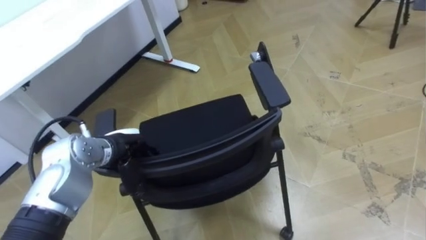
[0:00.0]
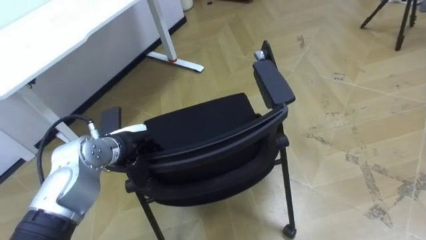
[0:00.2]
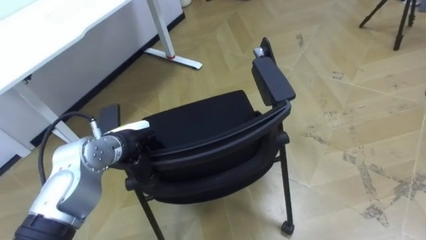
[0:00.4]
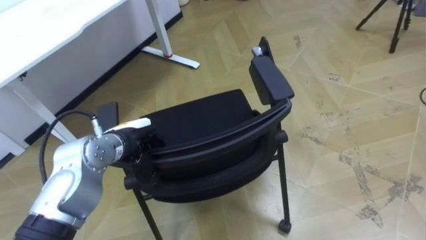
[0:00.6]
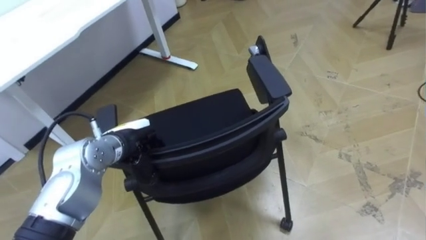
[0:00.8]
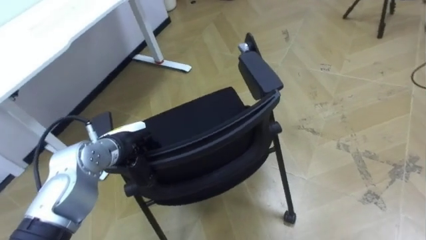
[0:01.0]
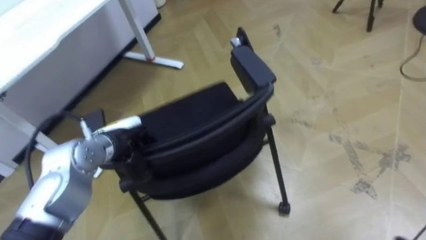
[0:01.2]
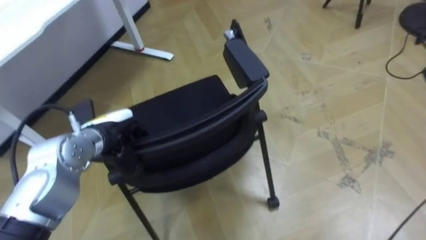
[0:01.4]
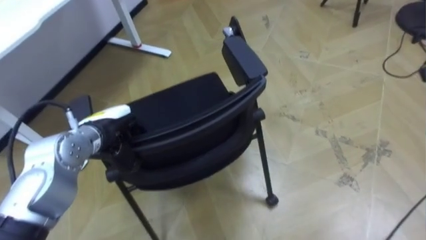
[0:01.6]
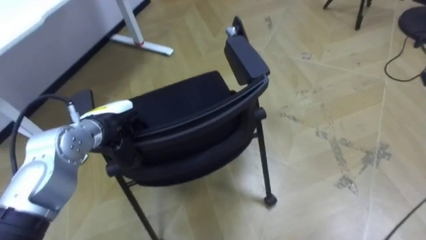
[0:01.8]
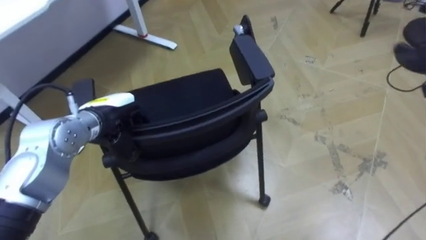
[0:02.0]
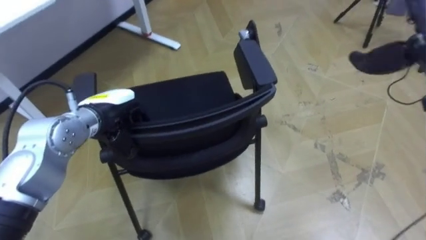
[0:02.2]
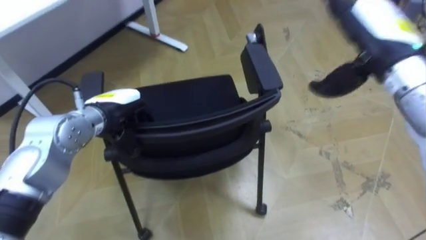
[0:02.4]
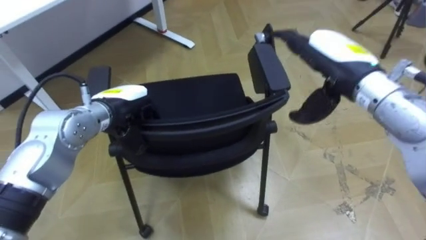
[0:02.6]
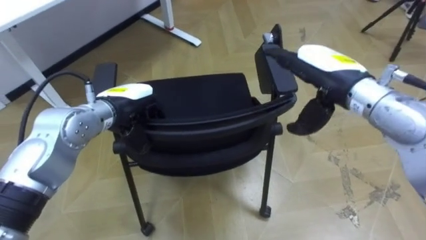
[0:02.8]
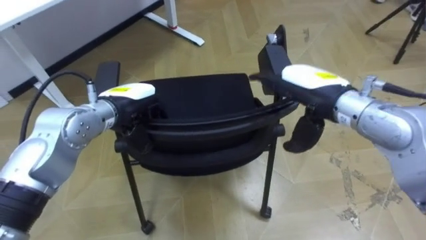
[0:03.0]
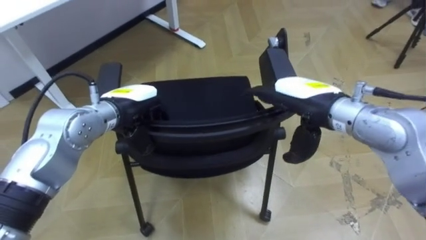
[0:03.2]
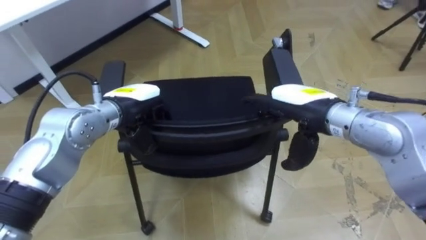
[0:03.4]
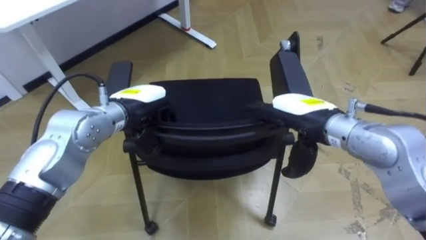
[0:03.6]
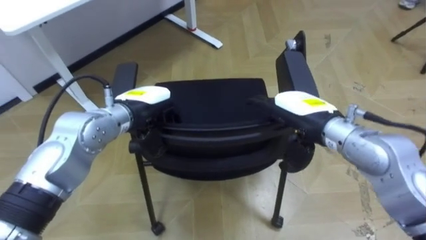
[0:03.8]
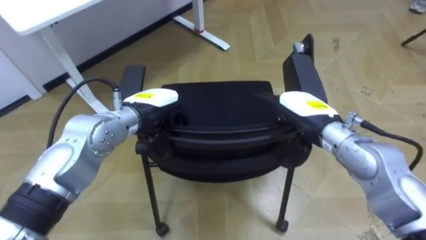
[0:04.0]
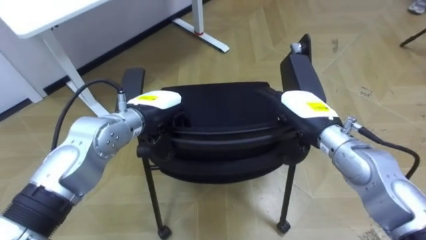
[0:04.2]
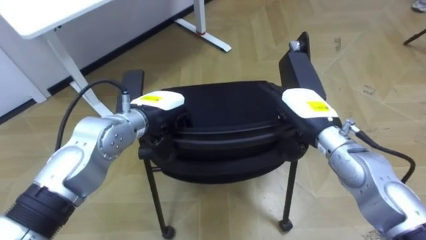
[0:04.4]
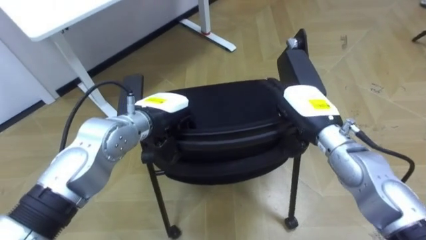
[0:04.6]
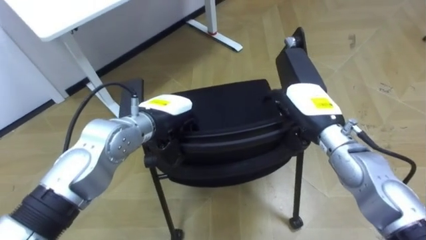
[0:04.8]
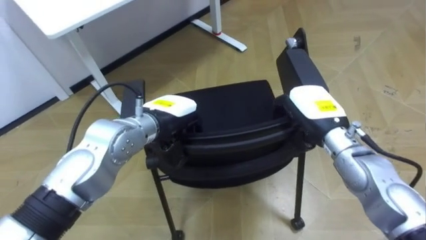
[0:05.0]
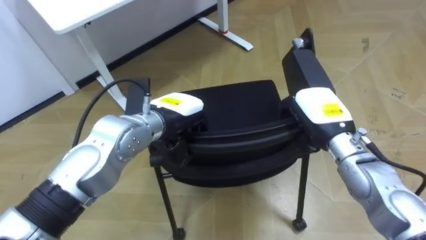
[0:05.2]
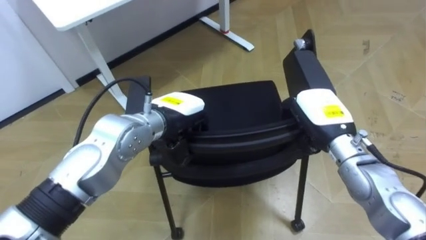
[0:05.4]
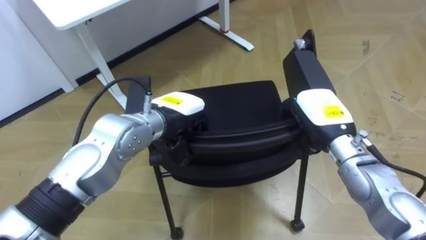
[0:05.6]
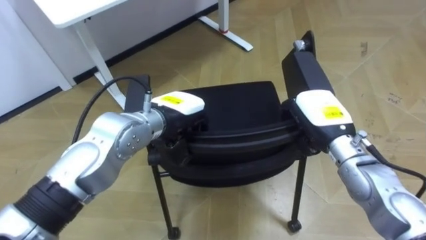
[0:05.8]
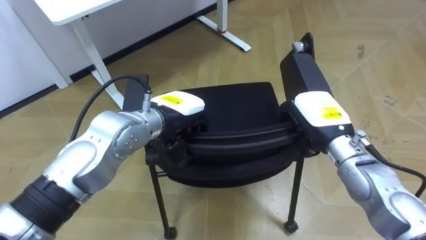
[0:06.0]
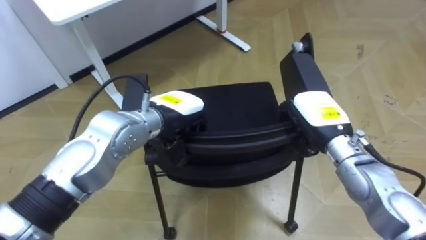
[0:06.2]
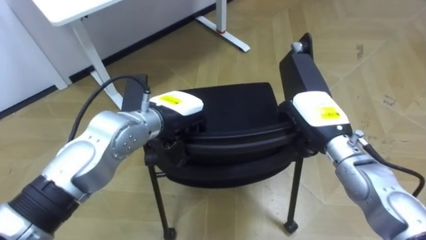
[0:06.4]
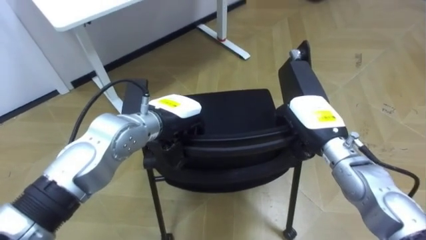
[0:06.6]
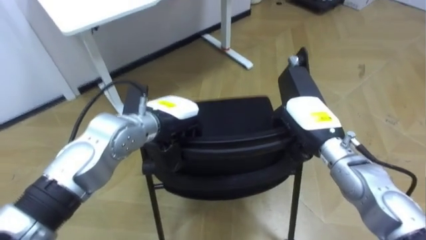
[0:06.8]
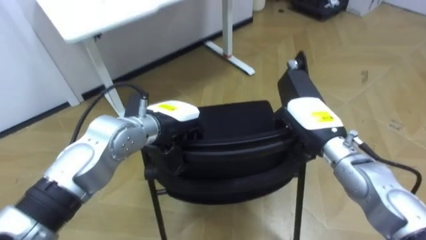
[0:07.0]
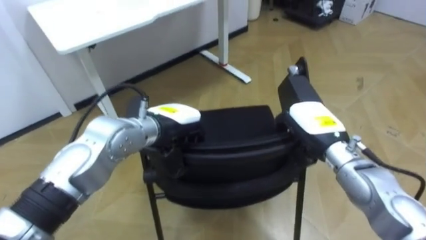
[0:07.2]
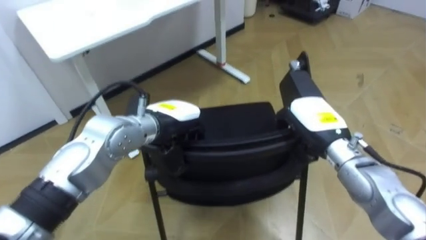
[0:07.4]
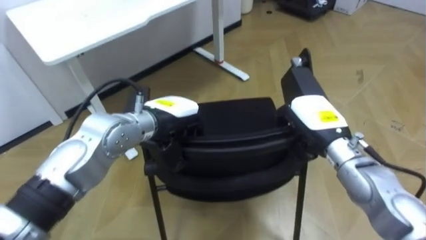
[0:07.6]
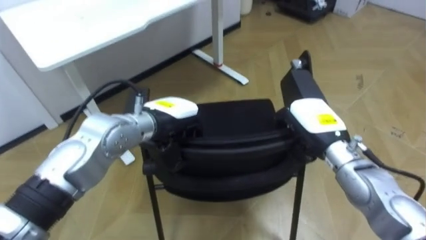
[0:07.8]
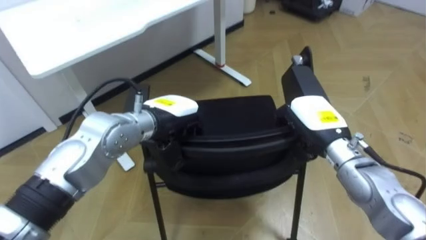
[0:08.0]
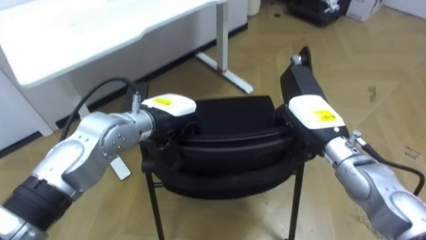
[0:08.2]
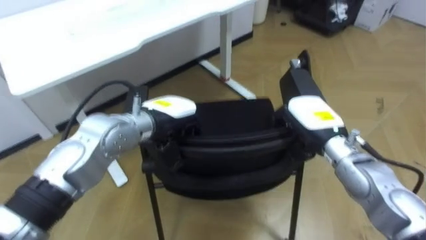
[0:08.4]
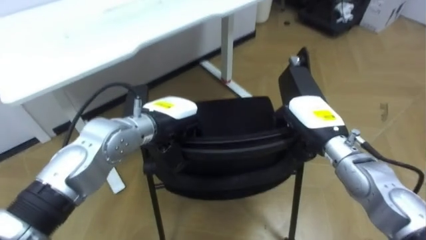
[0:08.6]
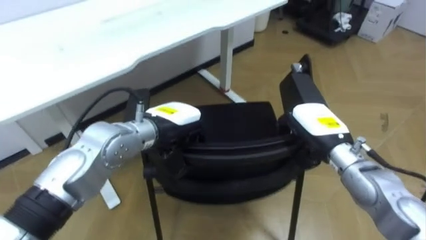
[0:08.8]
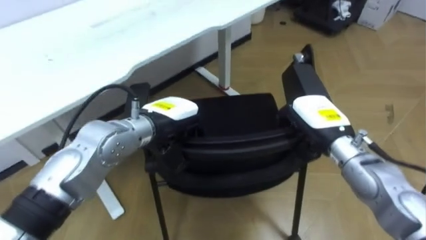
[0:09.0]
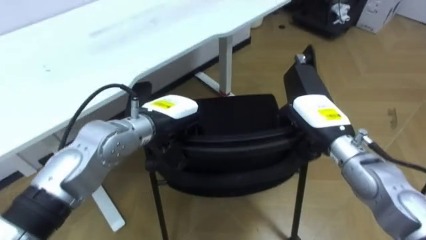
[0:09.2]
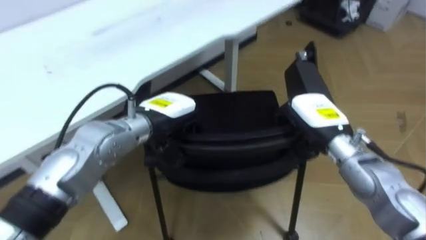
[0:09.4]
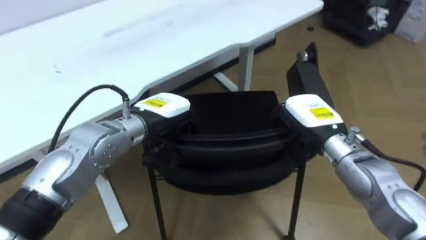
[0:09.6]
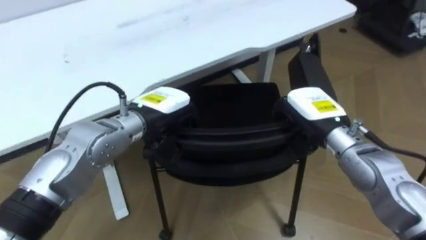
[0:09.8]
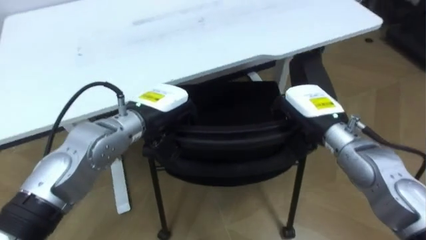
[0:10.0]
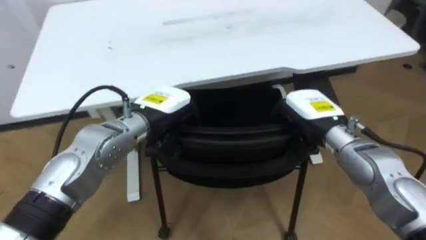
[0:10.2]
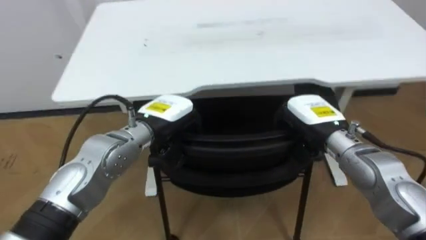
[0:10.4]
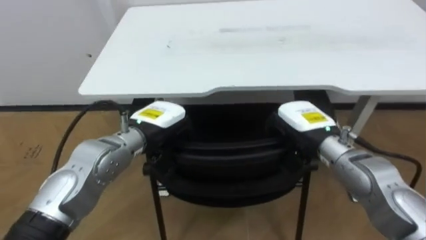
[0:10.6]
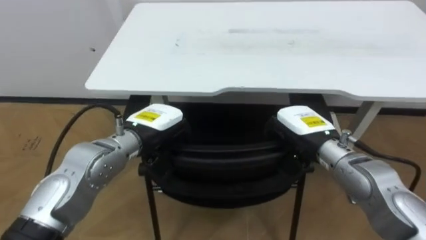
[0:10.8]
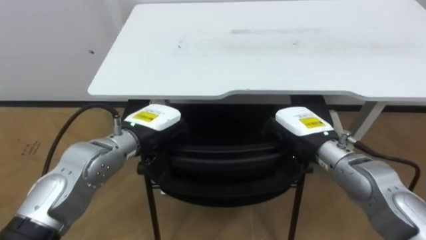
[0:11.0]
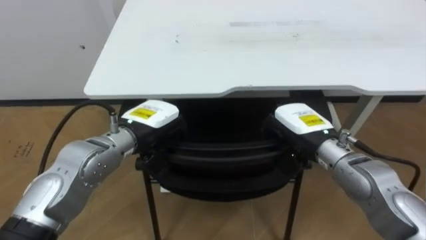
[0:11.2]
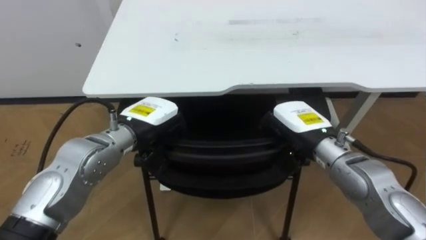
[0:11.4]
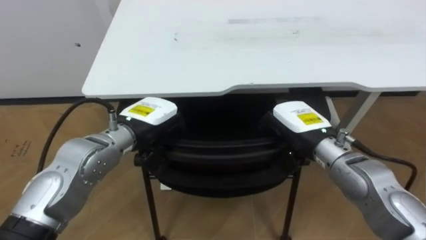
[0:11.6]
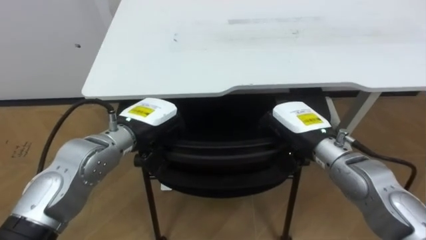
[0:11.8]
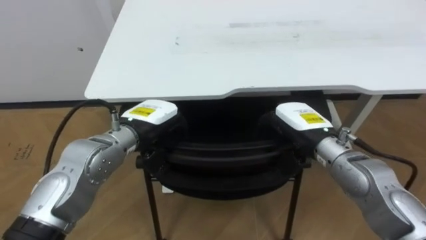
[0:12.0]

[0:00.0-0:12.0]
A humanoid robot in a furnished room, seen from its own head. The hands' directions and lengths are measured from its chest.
Task of the whole recording: Push the chair under the table.
0:00.0 to 0:01.6: The left hand moves approximately 5 cm.
0:01.6 to 0:03.0: The left hand shifts by roughly 5 cm.
0:03.0 to 0:04.4: The right hand is displaced downward by some 10 cm. The left hand moves to the right, approximately 5 cm.
0:04.4 to 0:06.0: The right hand closes.
0:09.0 to 0:10.4: The robot rotates roughly 40 degrees to its left.

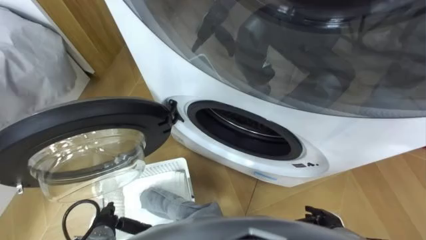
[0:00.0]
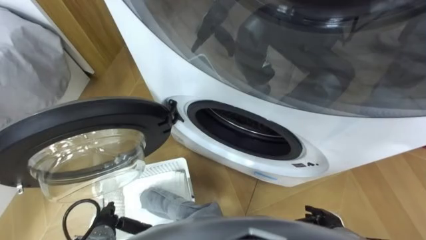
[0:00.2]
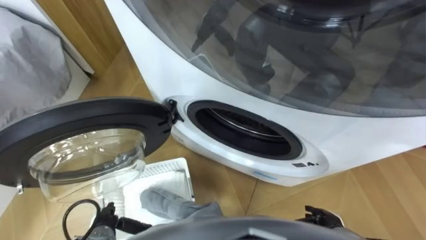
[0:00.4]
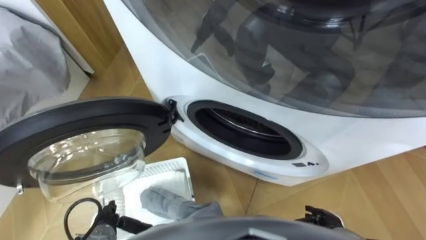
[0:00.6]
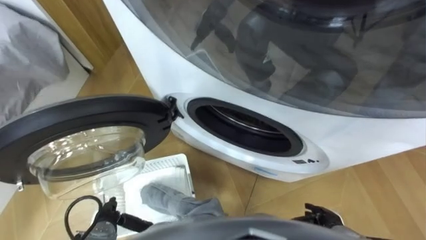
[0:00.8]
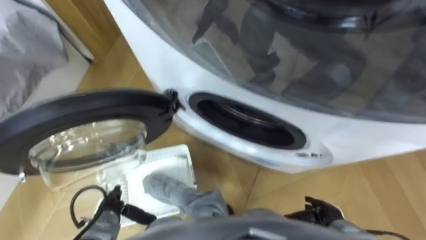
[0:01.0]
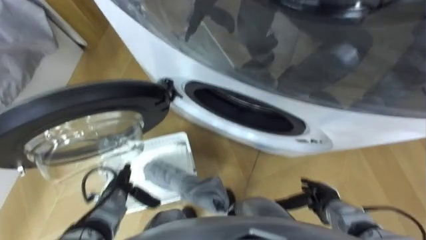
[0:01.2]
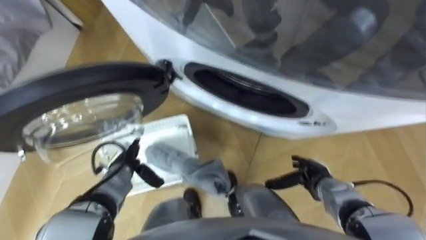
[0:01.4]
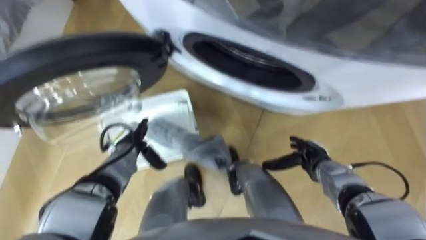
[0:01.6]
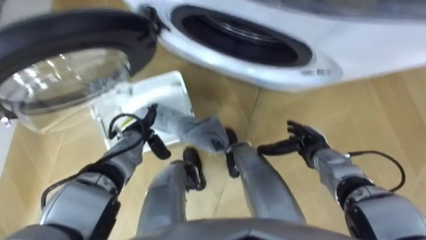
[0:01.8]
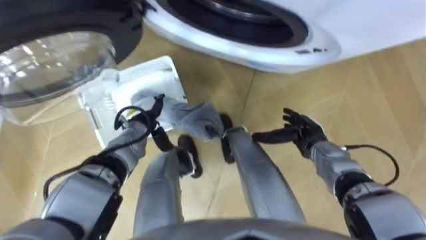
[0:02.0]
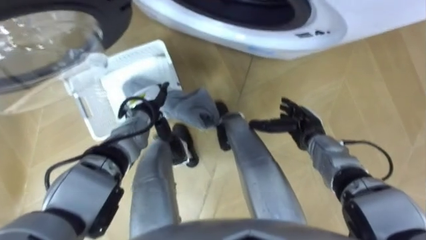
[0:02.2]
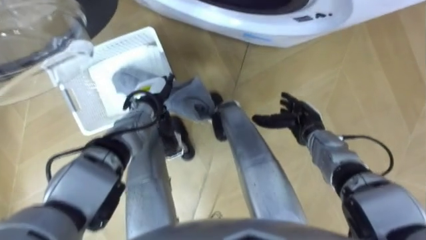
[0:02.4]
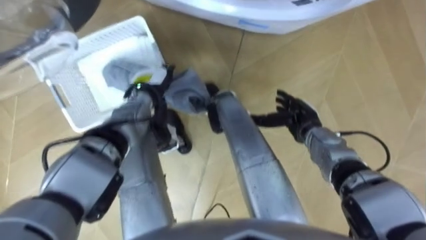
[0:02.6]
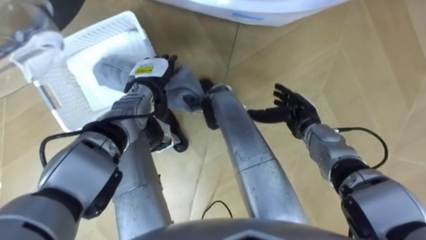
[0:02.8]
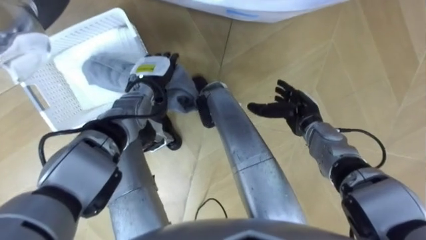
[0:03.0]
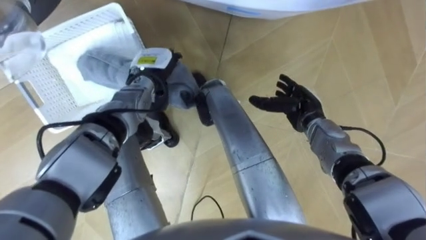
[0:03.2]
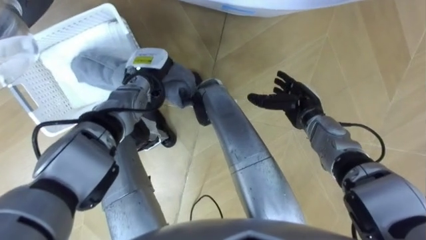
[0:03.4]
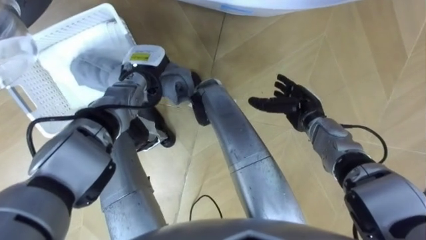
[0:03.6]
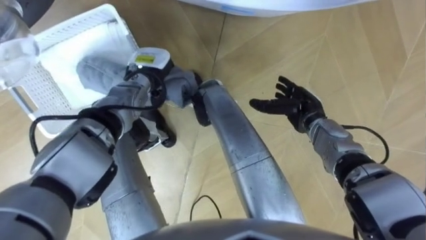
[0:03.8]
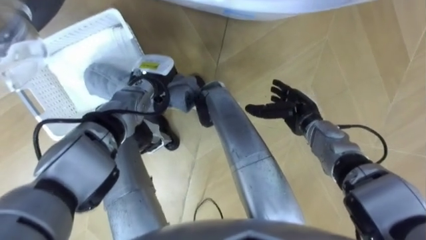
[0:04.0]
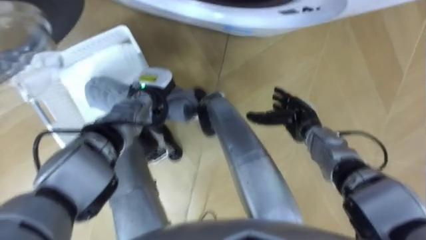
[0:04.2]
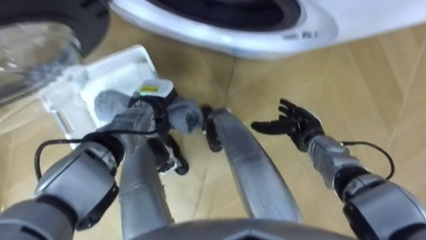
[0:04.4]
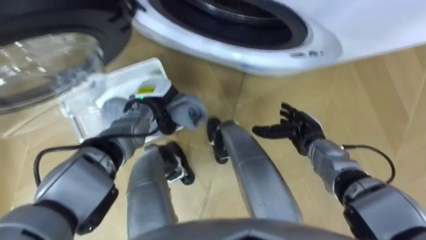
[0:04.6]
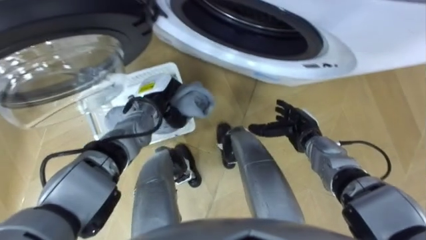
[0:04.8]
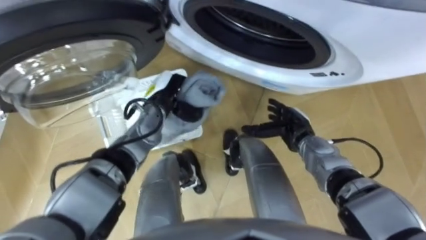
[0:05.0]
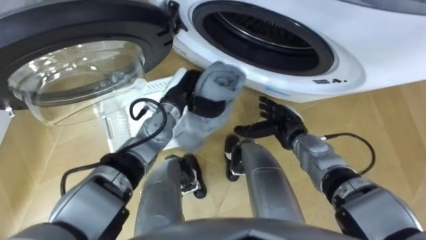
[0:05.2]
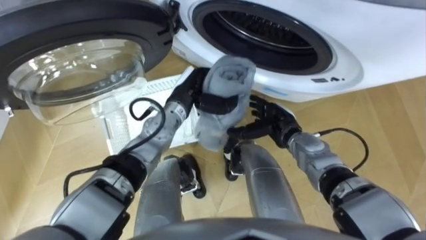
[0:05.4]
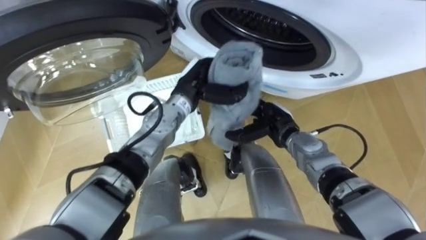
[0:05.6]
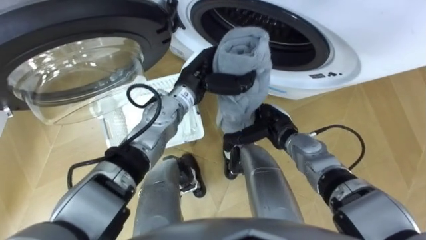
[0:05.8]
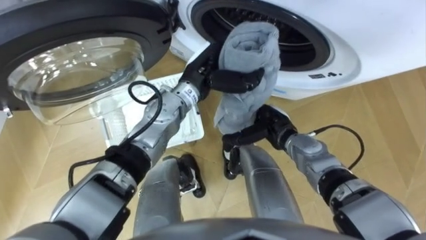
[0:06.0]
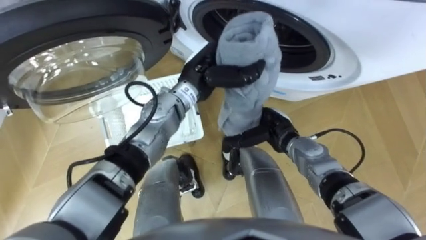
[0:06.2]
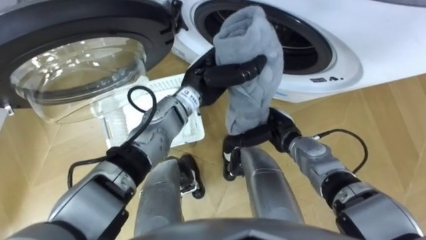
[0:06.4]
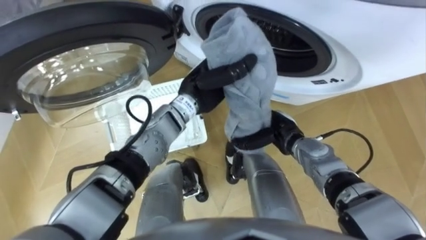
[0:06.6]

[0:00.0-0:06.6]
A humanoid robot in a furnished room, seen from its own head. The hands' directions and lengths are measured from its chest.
Task of the whole recording: Take the towel from the basket and put it into the washing machine.
0:01.6 to 0:03.2: The left hand moves forward, upward and to the right, about 20 cm, while the right hand heads forward and upward, covering roughly 15 cm.
0:03.2 to 0:05.0: The left hand changes place by about 5 cm, and closes its fingers.
0:05.0 to 0:06.6: The left hand goes approximately 10 cm to the right and upward.
